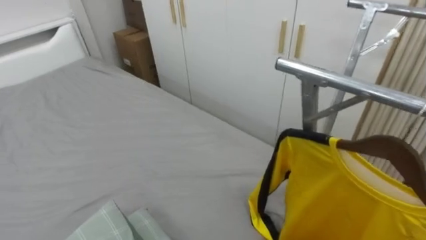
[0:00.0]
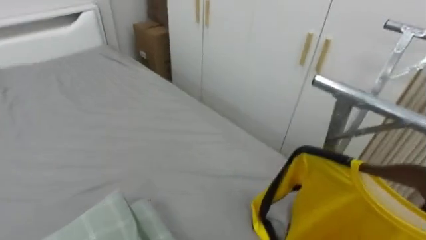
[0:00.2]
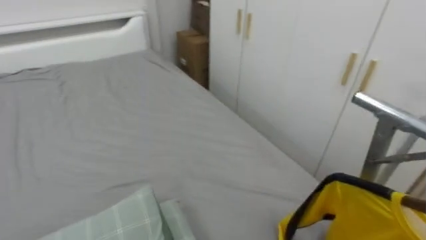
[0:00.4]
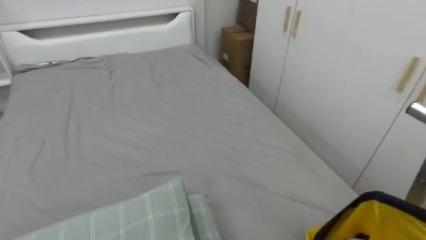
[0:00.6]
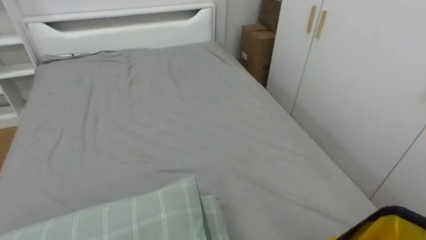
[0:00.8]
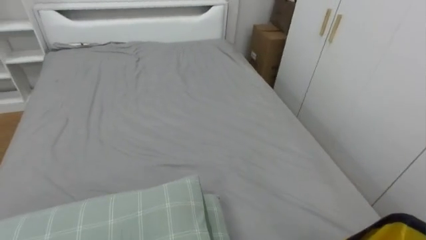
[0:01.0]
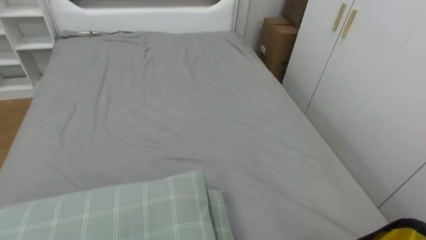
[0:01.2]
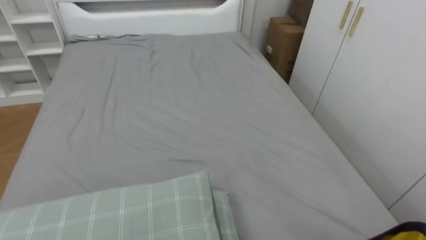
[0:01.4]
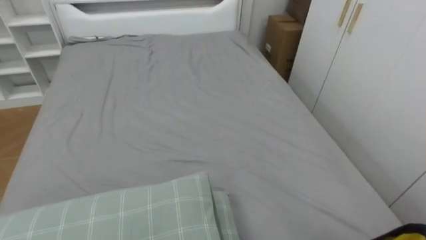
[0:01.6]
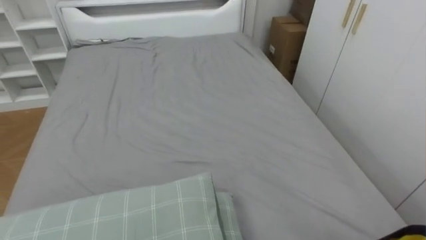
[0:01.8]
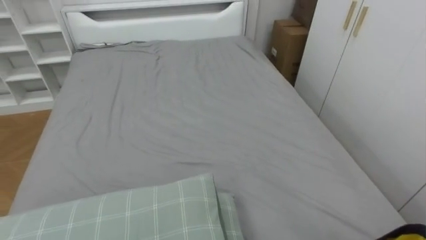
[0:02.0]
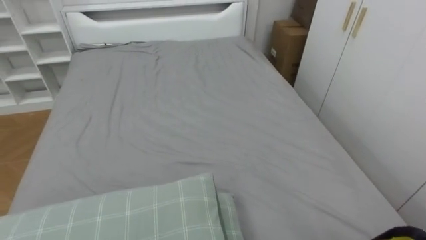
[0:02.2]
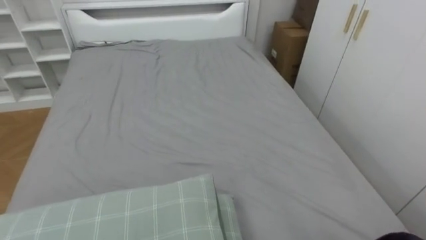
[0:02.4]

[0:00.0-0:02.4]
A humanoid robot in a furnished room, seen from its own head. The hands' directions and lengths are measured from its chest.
Task of the whole recording: Pick up the yellow shirt on the bed and hang it on the clothes rack on the right.
0:00.0 to 0:01.2: The robot's body swings approximately 35 degrees to its left.

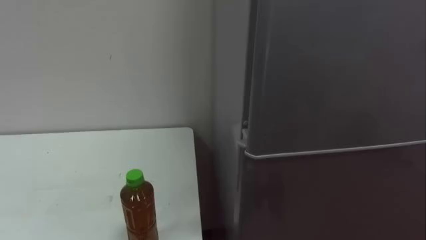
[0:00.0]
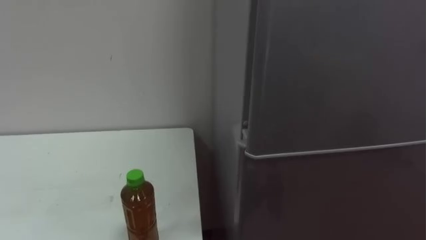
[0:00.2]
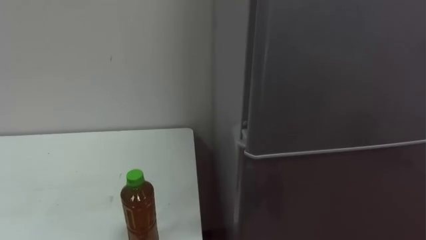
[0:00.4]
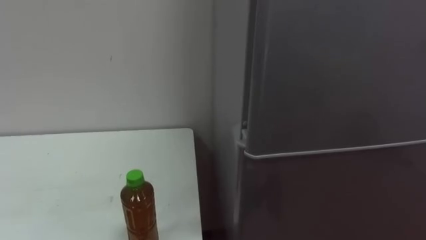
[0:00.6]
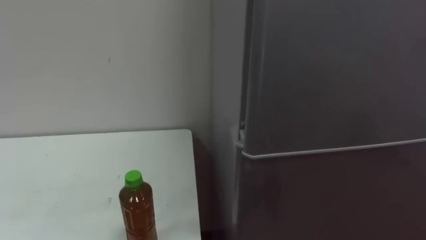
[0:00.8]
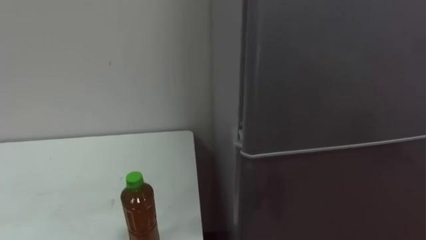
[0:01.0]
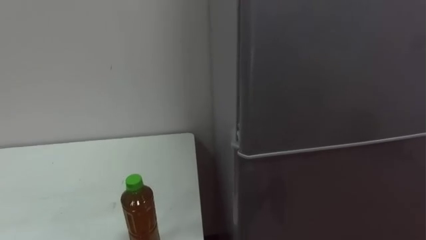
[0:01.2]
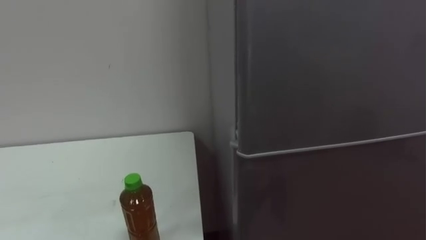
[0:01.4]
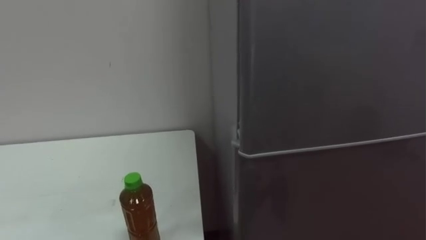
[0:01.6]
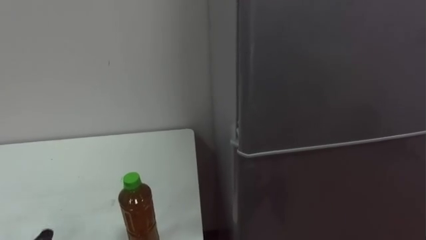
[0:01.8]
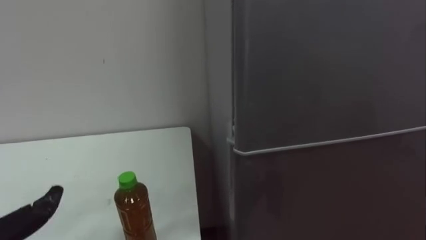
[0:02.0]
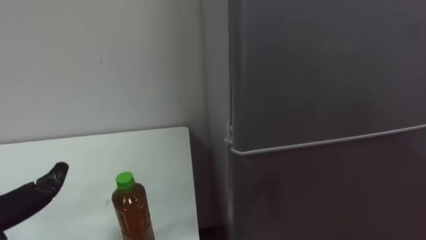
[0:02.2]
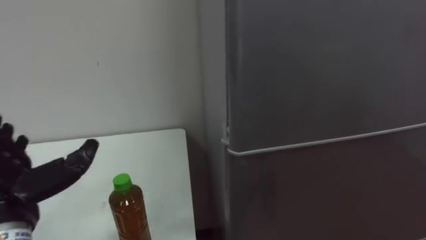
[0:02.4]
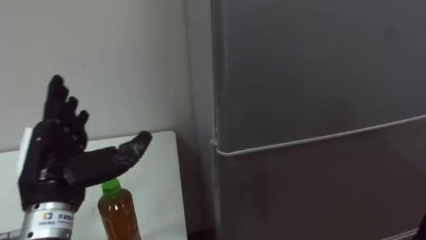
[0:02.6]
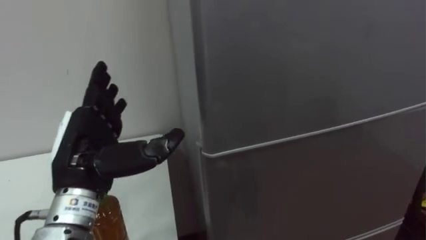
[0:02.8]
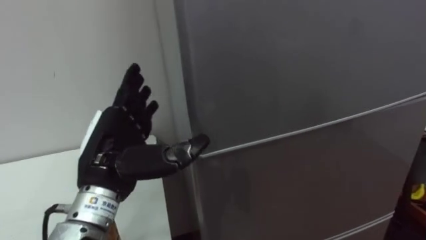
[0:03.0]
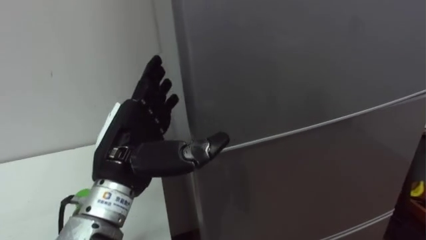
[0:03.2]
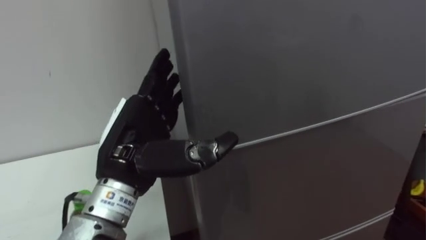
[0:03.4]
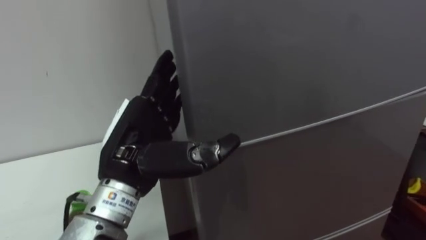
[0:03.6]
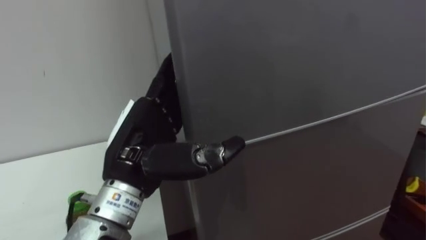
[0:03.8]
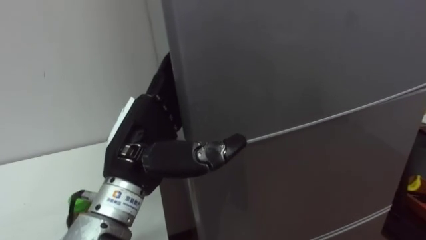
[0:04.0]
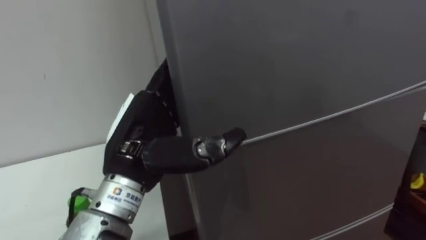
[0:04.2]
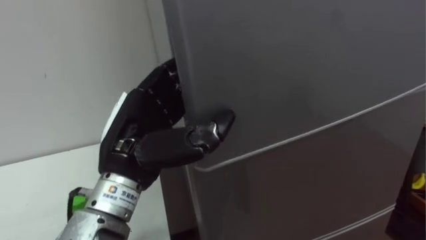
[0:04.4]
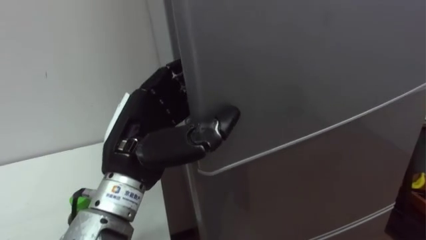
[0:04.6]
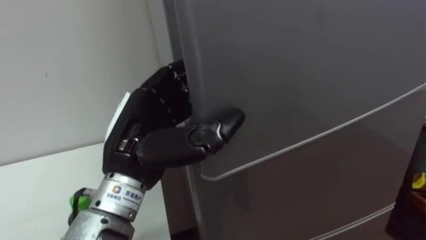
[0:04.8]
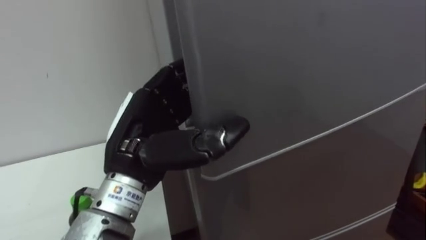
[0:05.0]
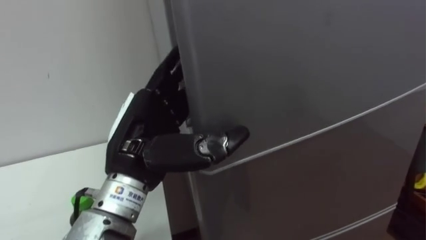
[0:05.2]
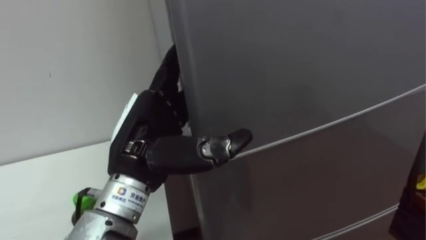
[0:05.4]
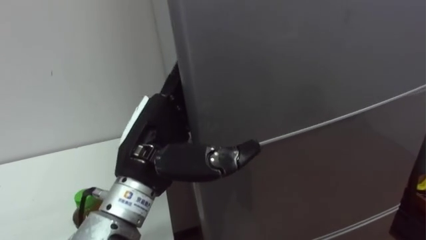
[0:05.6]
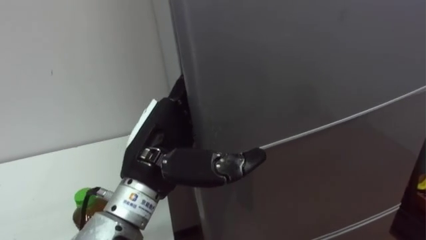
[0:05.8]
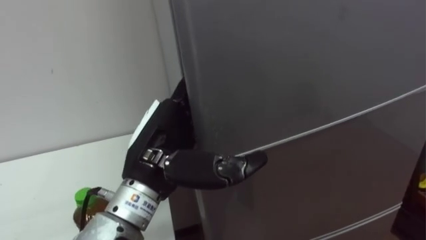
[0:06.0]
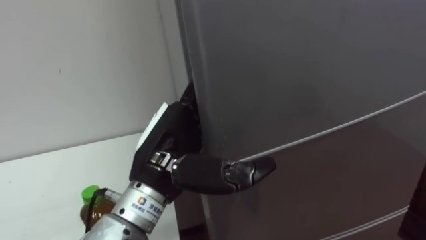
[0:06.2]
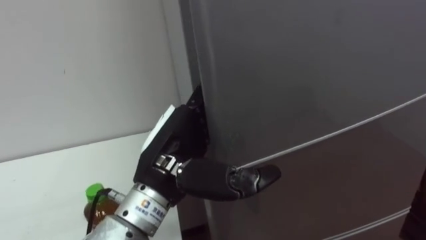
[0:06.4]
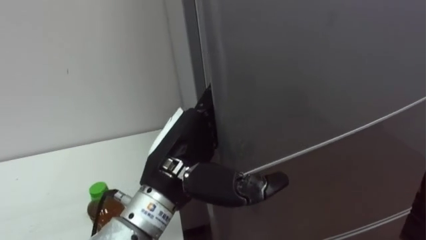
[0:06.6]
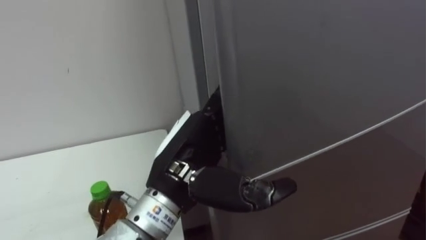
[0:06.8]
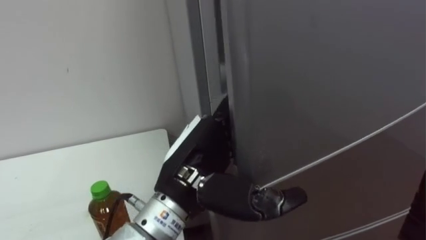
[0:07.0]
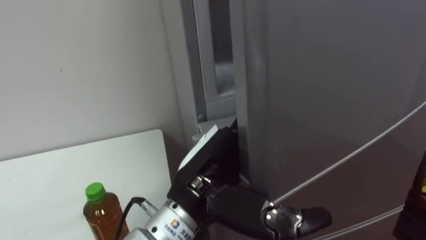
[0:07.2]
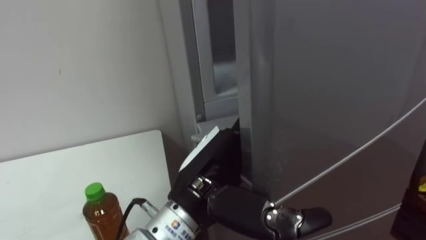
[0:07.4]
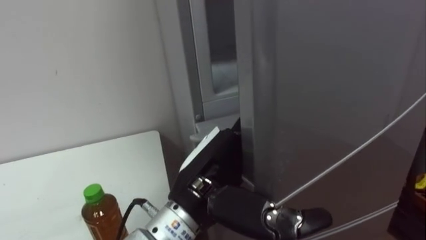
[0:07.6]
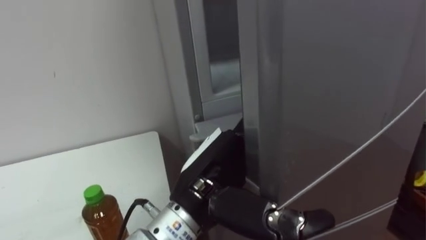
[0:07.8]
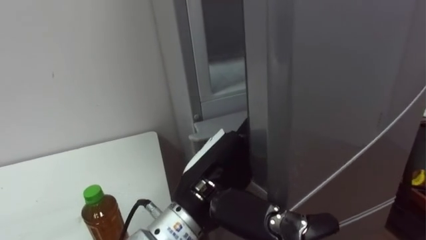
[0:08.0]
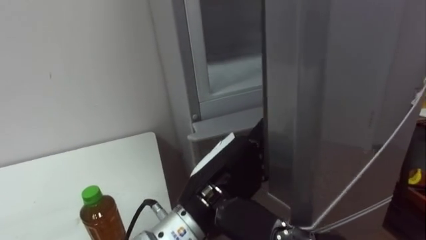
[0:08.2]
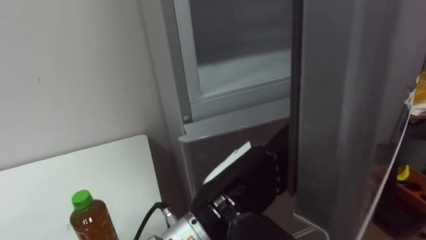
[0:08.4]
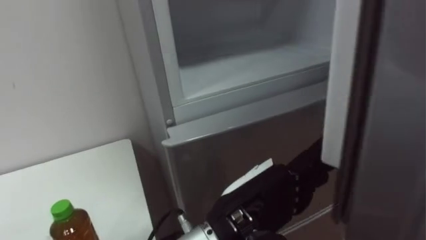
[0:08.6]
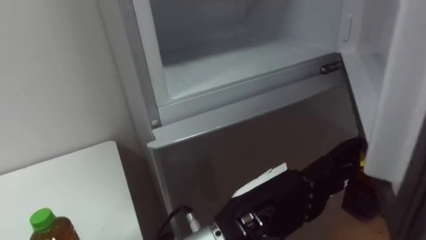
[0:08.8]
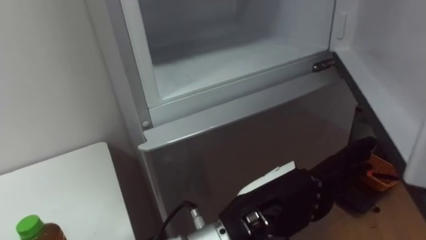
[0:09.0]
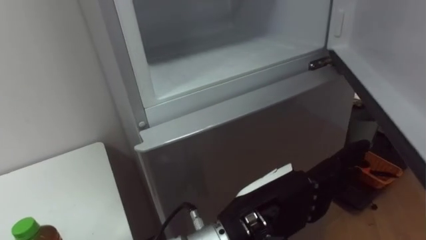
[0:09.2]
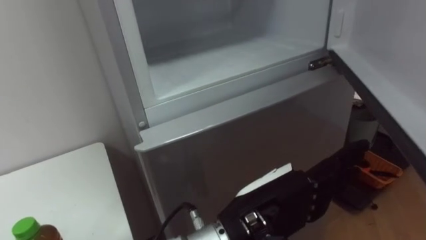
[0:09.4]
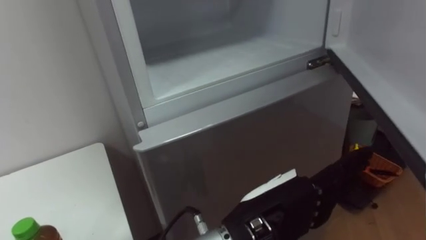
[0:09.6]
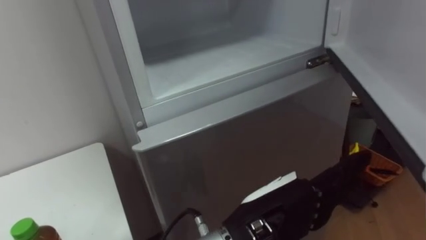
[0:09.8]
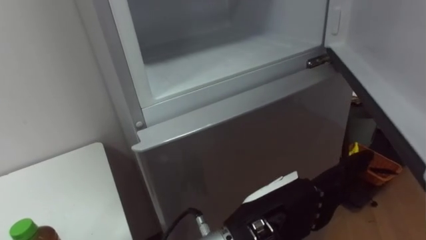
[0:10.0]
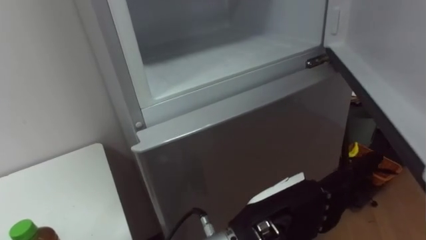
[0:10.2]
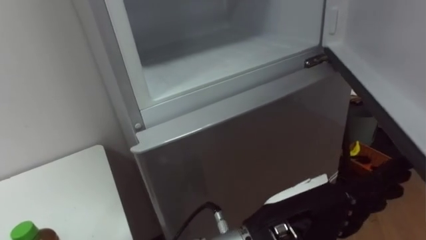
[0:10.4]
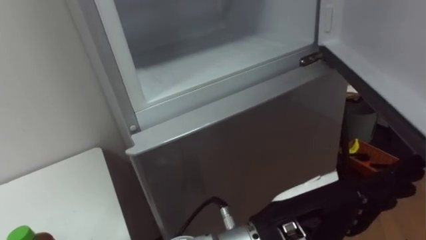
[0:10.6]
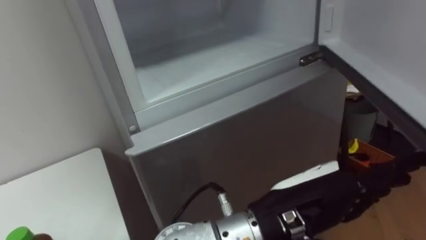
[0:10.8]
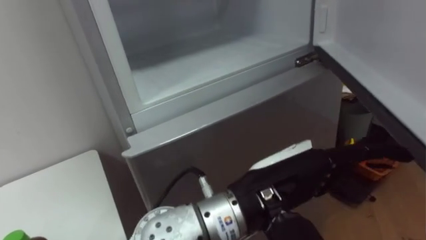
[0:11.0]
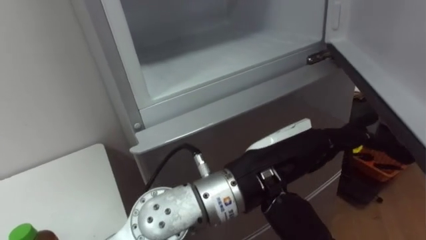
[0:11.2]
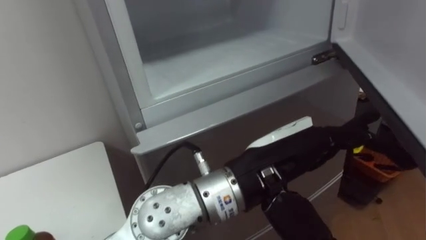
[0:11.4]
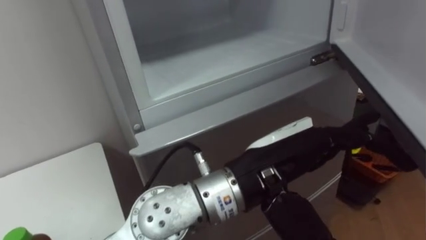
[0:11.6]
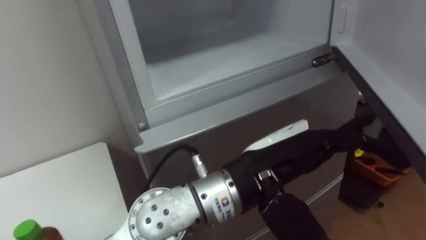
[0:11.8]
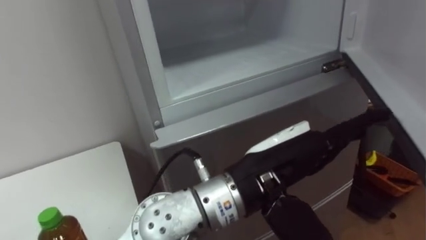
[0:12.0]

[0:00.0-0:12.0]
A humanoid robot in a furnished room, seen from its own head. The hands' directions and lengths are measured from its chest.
Task of the whole recording: Open the upper refrigerator door, put the drink from the table into the refrigerator, and then close the refrigerator door.
0:03.0 to 0:04.4: The left hand closes its fingers.
0:04.4 to 0:06.0: The left hand opens its fingers.
0:06.0 to 0:07.6: The left hand moves to the right, roughly 5 cm.
0:07.6 to 0:09.0: The left hand shifts roughly 5 cm to the right.
0:10.4 to 0:12.0: The left hand shifts by roughly 5 cm.

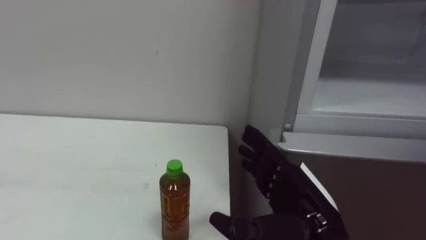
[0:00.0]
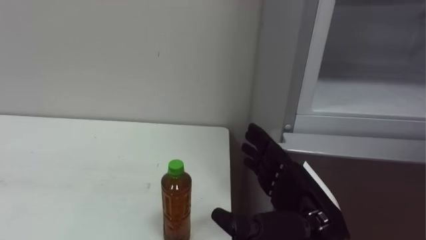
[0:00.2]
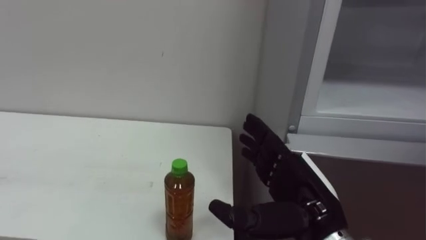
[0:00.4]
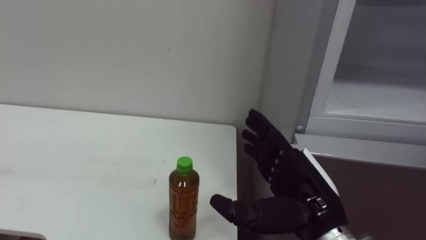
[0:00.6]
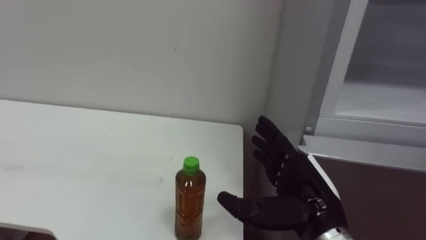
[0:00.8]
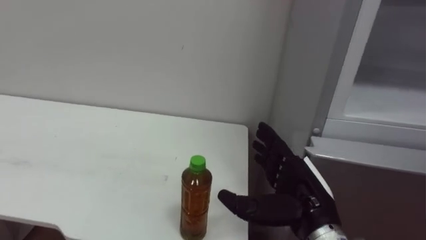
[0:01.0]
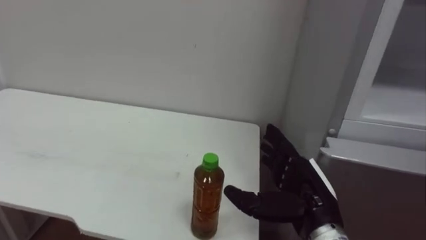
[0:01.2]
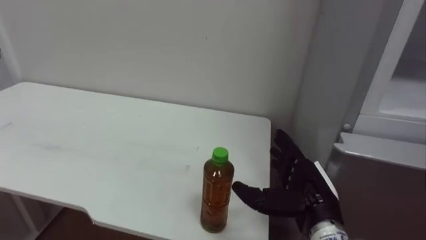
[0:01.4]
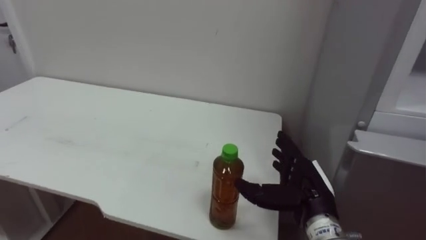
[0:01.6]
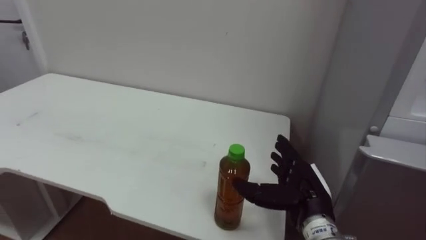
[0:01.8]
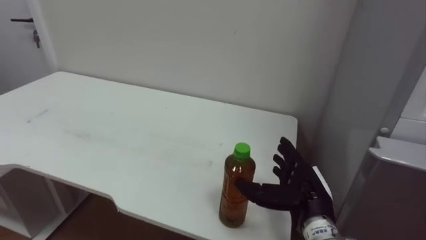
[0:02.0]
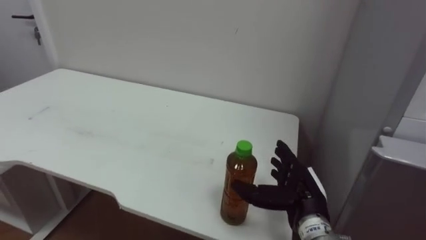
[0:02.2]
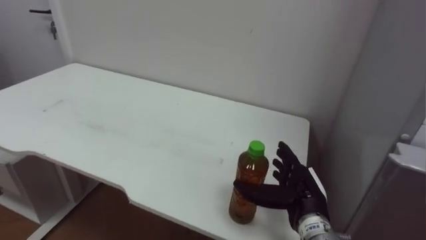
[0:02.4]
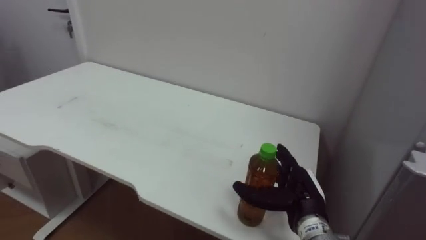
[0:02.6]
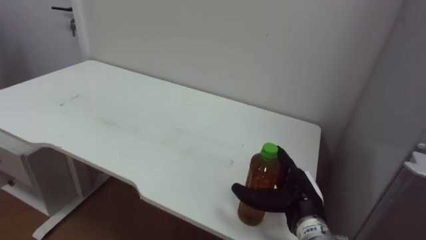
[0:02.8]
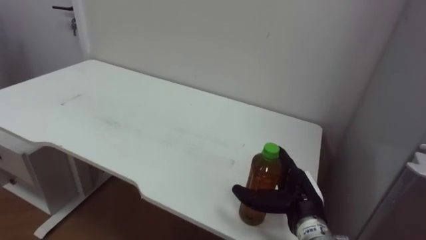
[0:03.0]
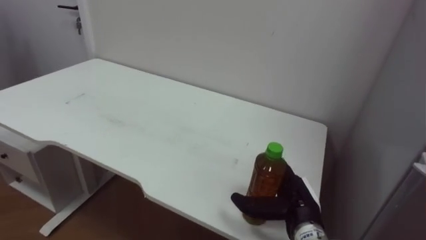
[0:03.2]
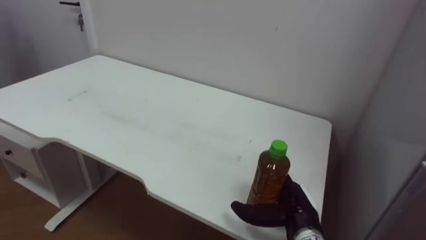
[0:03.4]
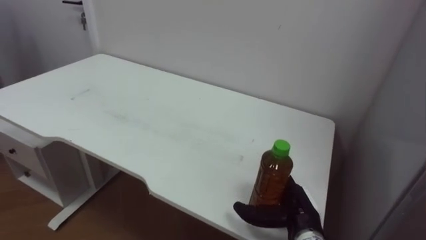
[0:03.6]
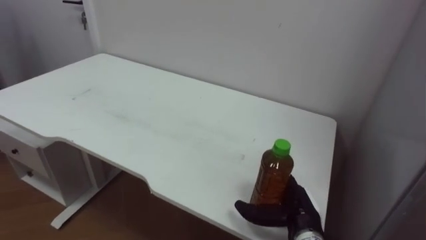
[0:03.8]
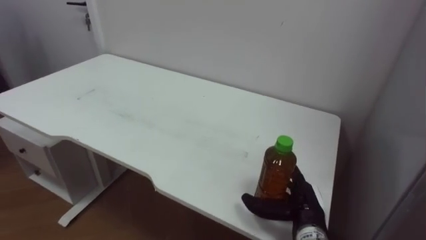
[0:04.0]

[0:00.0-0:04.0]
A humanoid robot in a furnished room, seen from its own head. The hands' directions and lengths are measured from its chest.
Task of the whole recording: Open the upper refrigerator door, put the drink from the table into the refrigerator, and then close the refrigerator door.
0:00.0 to 0:01.4: The right hand heads forward, covering roughly 5 cm.
0:01.4 to 0:02.6: The right hand shifts by roughly 5 cm.
